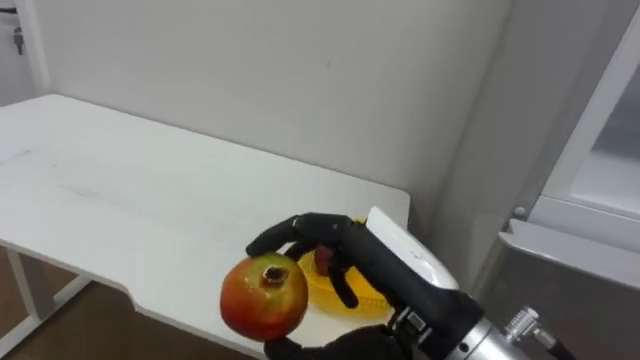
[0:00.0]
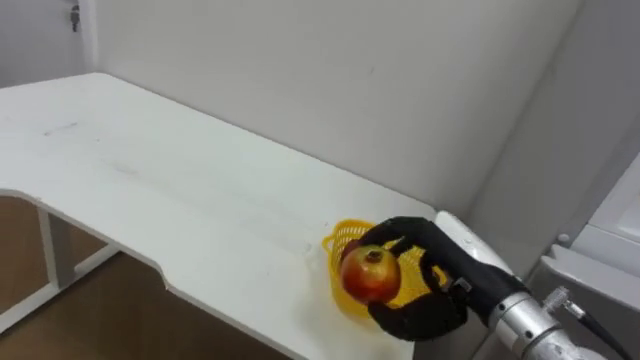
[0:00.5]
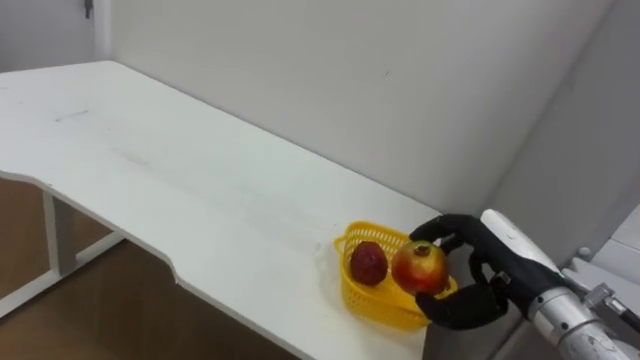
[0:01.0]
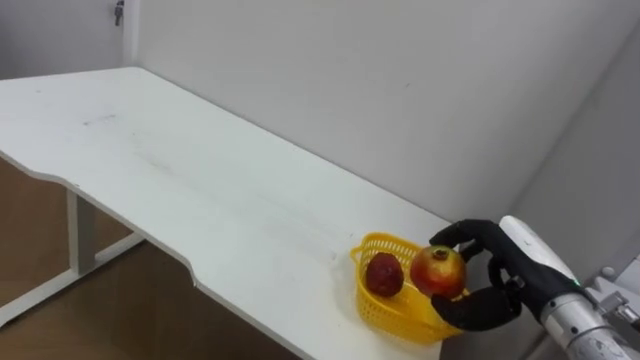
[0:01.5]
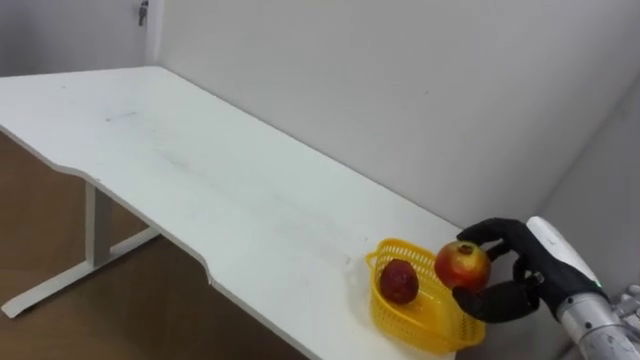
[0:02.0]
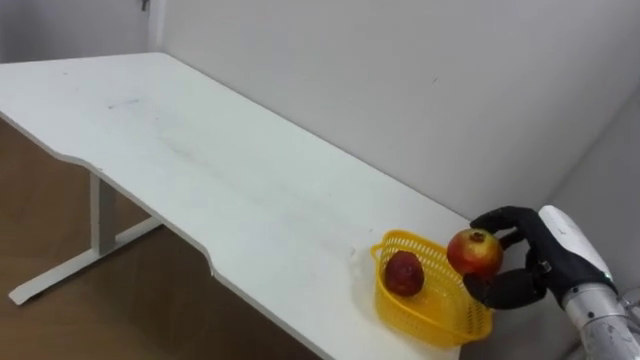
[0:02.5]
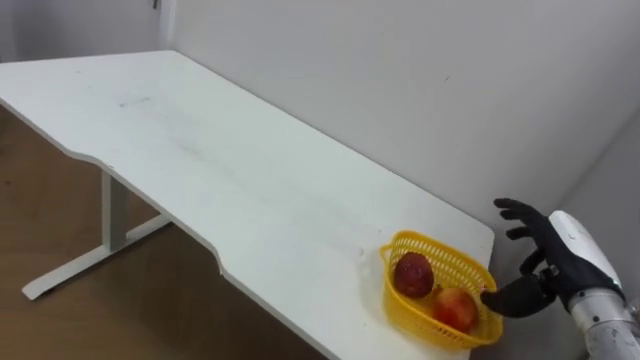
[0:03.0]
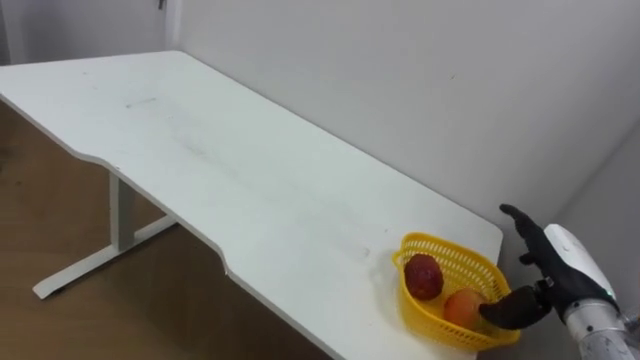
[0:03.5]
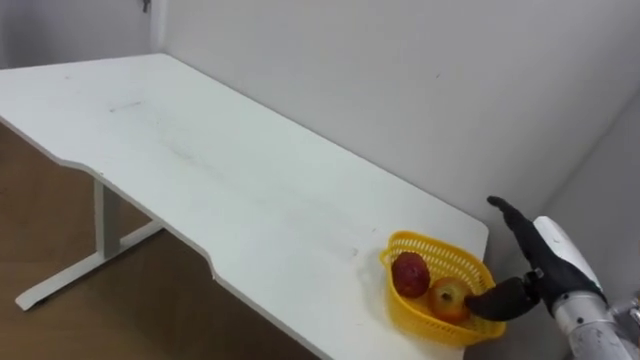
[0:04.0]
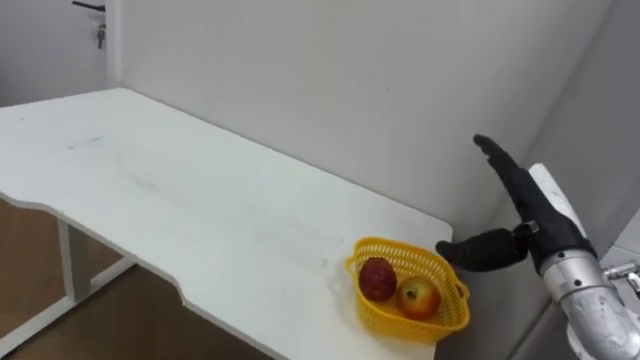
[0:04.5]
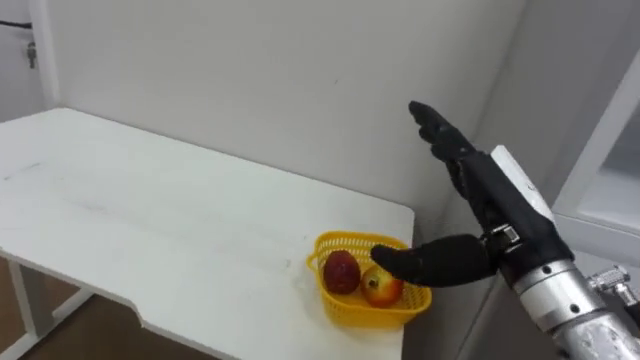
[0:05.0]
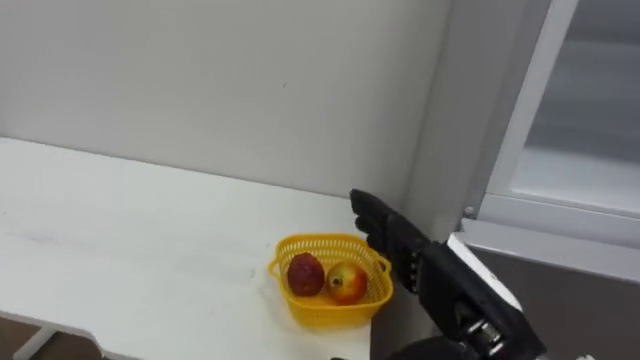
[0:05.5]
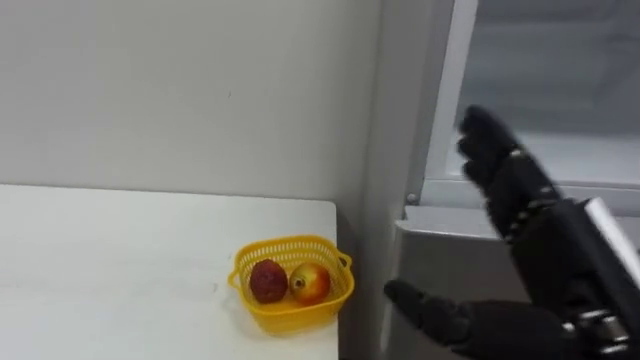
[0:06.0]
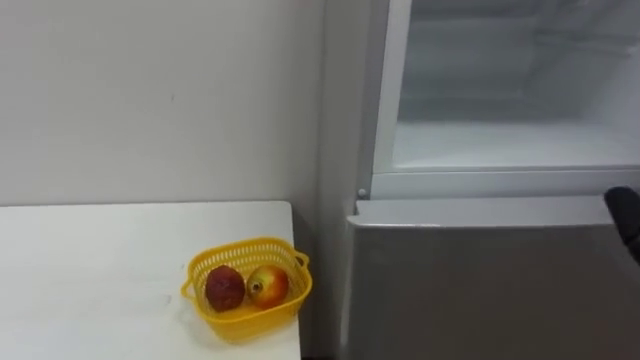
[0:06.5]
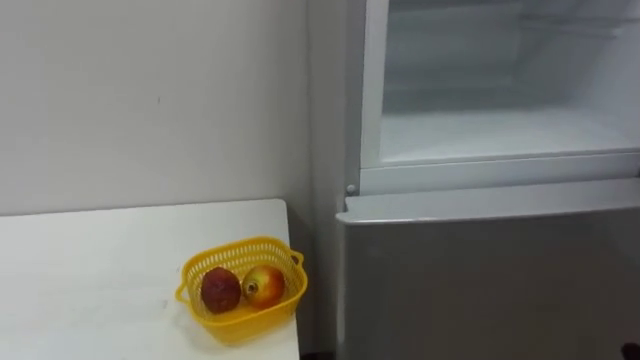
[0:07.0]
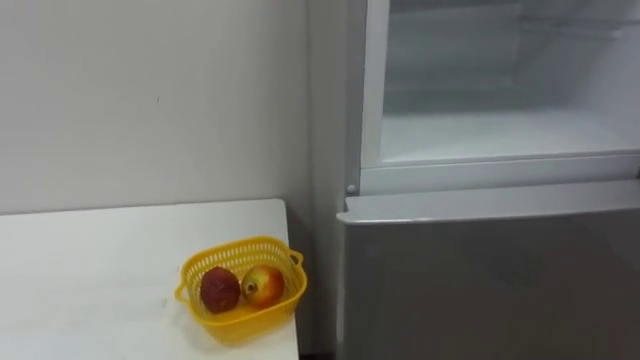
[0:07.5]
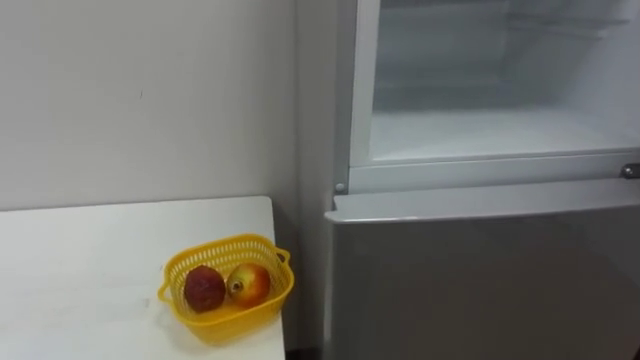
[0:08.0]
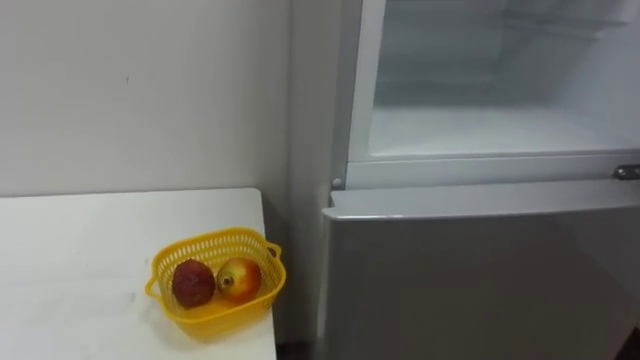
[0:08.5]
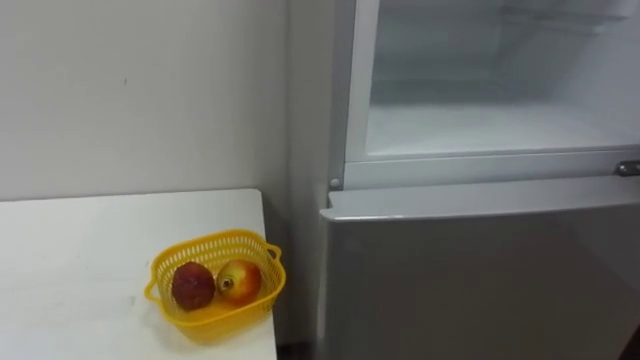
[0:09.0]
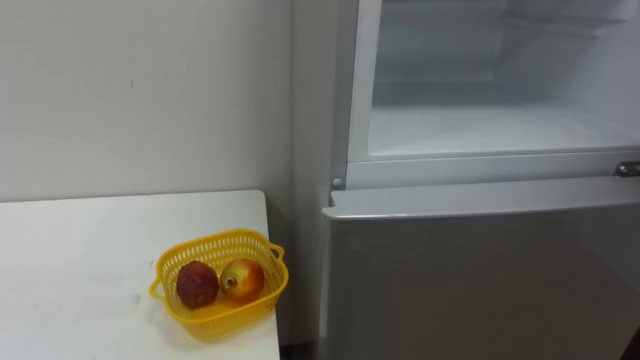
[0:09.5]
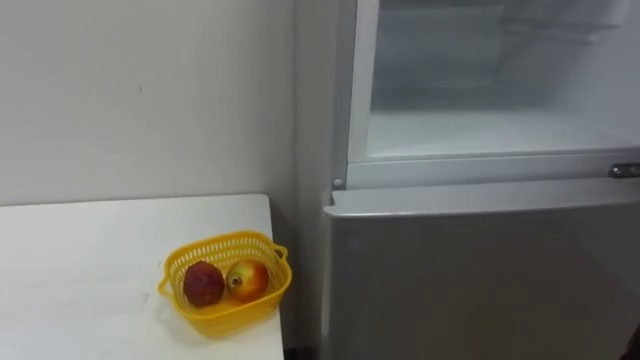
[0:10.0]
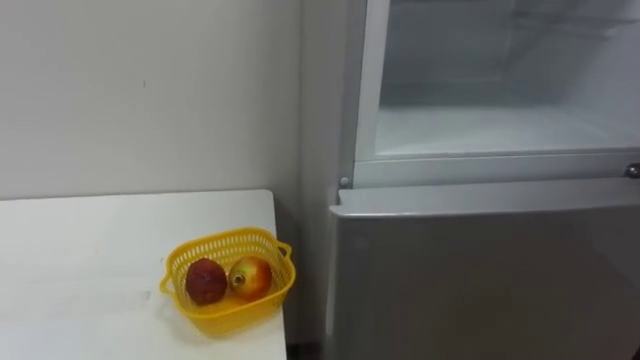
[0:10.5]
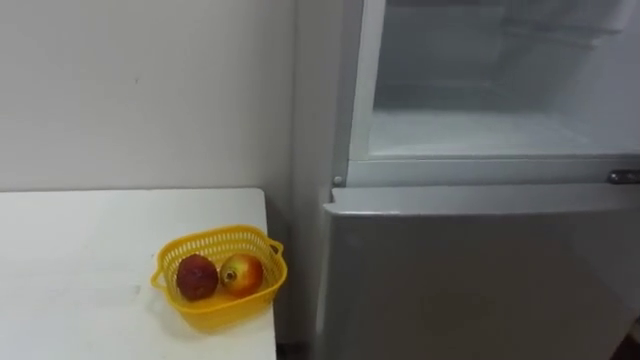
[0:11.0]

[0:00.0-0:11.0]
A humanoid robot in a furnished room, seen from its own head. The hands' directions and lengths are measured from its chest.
Task of the whole recording: Open the refrigerator door, take out the apple and the pomegranate, place them in the fruit basket on the left, and close the refrigerator door.
0:00.0 to 0:02.0: The right hand goes roughly 25 cm to the right, forward and downward.
0:02.0 to 0:03.5: The right hand opens its fingers.
0:03.5 to 0:05.5: The right hand moves to the left, backward and upward, about 20 cm.

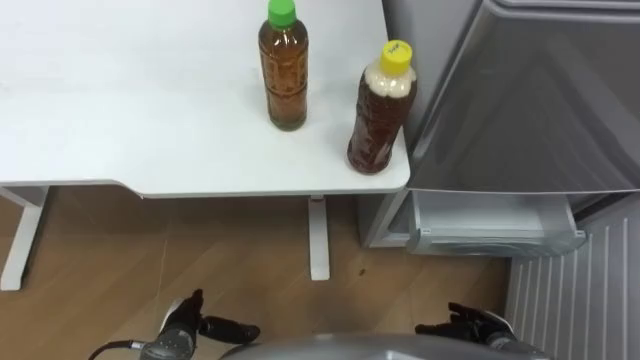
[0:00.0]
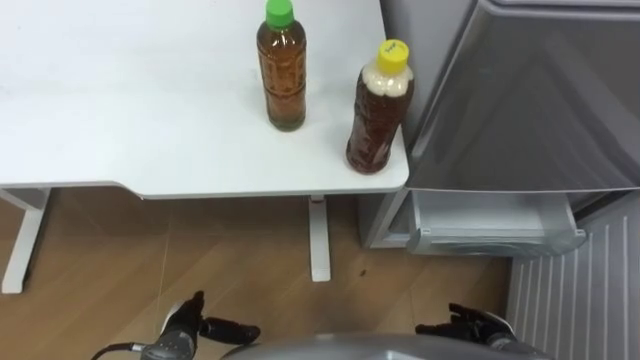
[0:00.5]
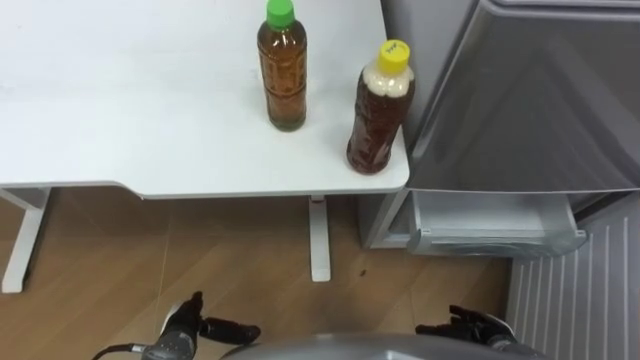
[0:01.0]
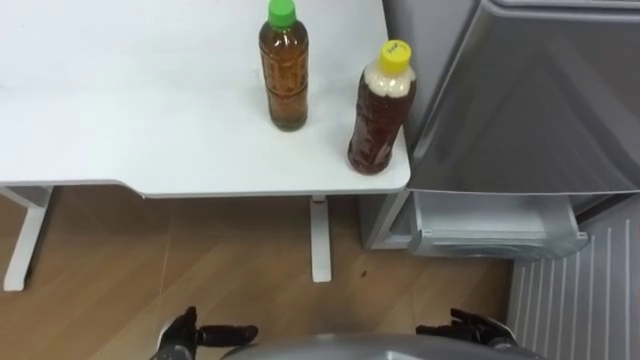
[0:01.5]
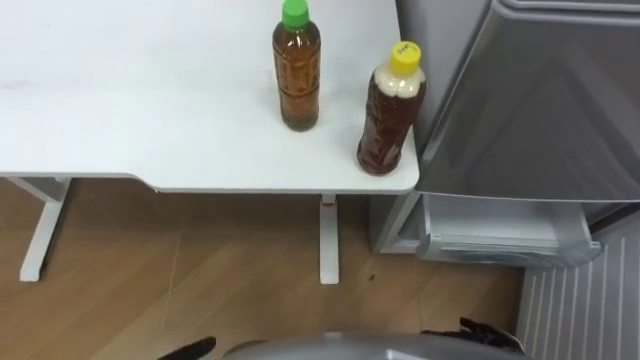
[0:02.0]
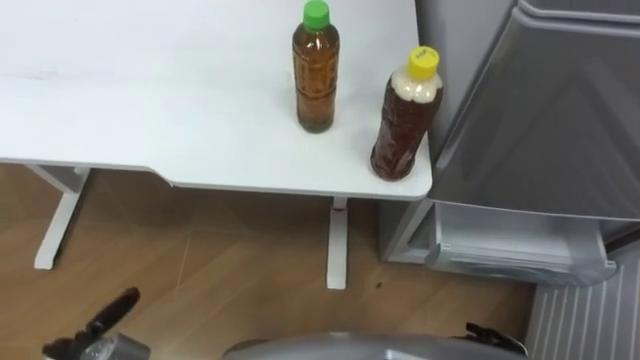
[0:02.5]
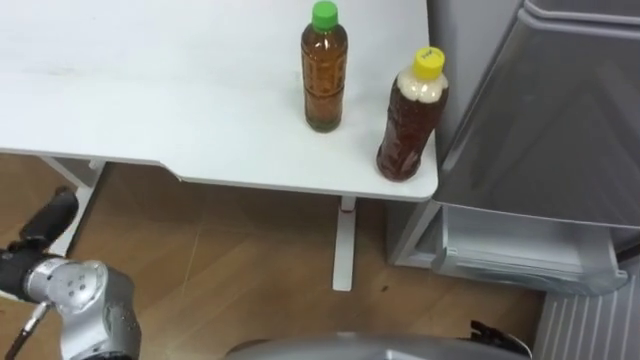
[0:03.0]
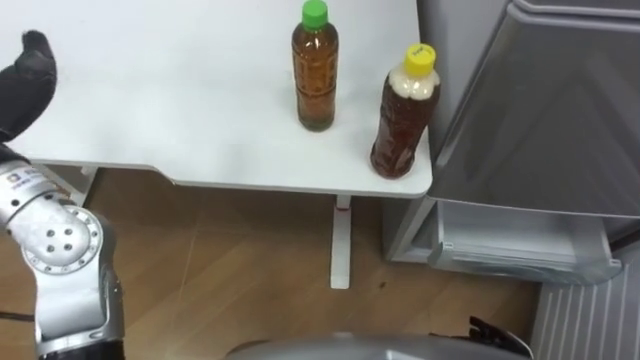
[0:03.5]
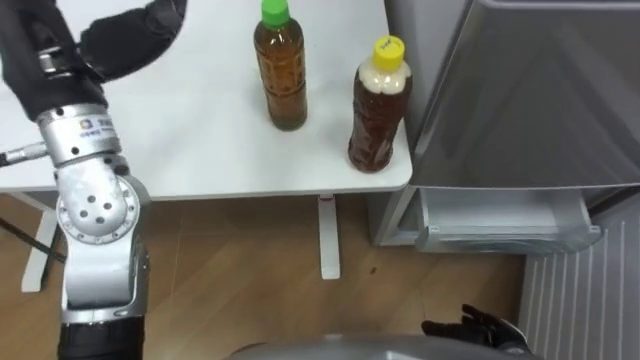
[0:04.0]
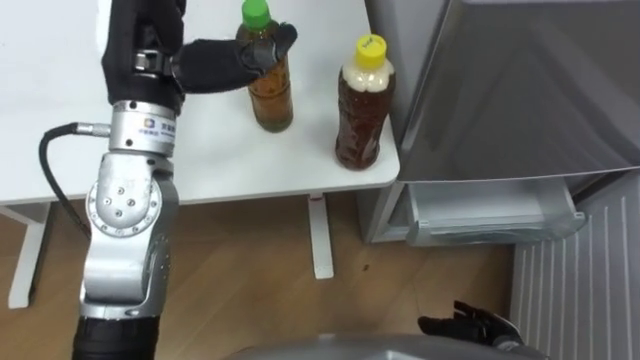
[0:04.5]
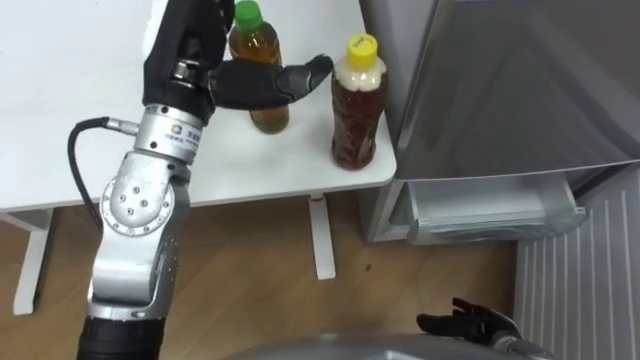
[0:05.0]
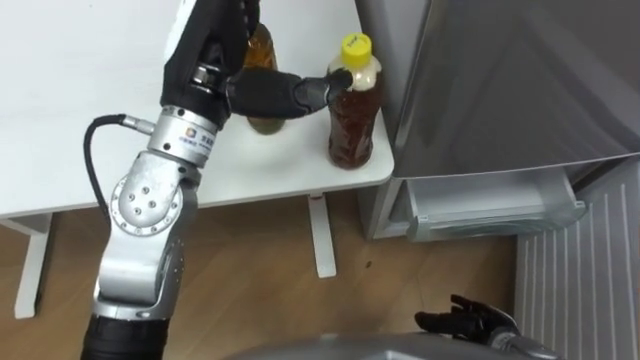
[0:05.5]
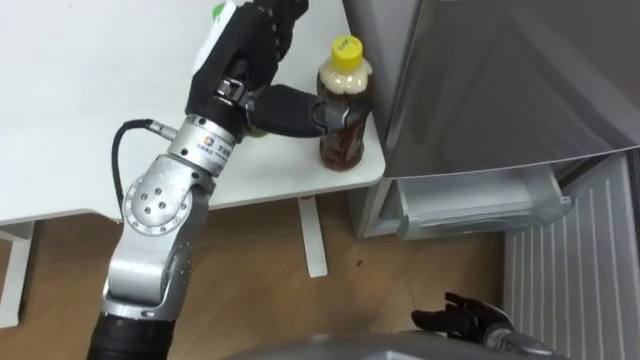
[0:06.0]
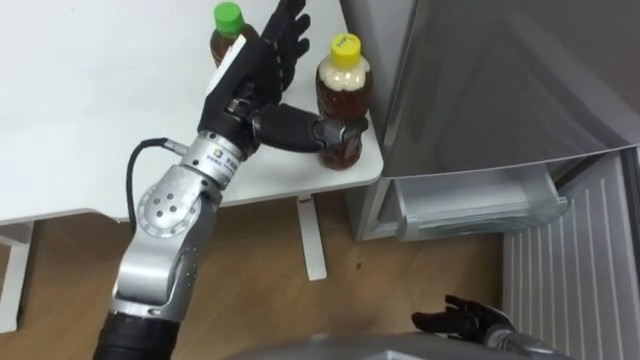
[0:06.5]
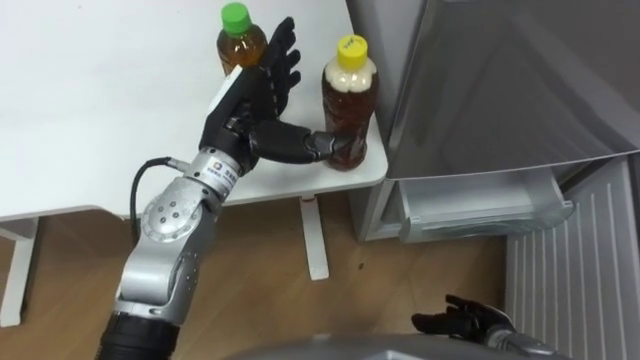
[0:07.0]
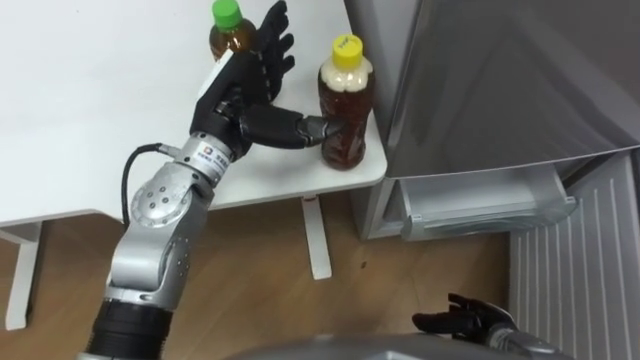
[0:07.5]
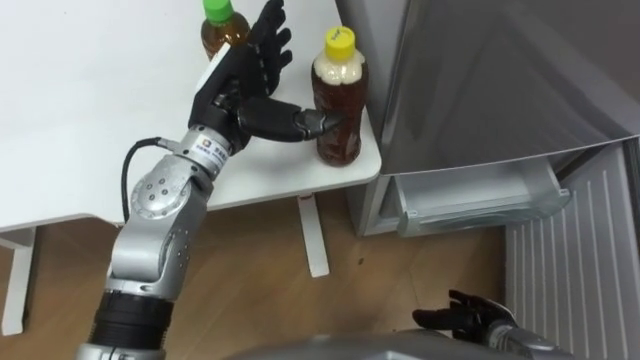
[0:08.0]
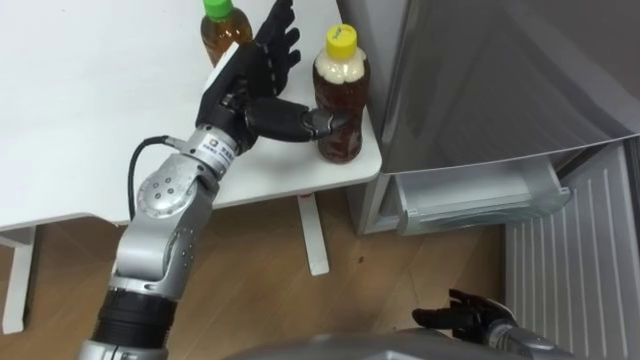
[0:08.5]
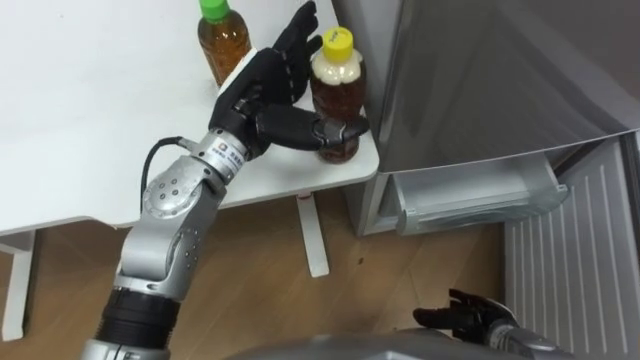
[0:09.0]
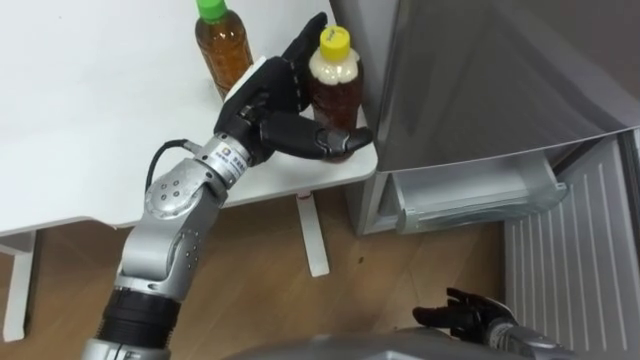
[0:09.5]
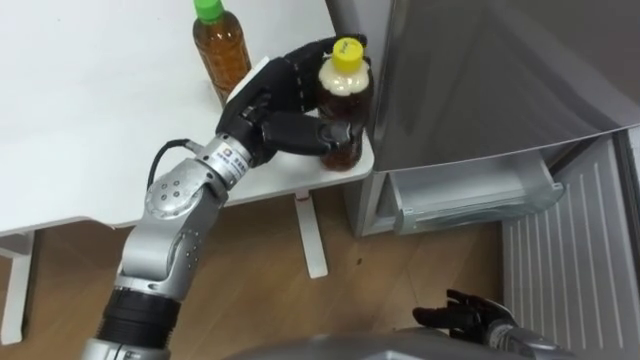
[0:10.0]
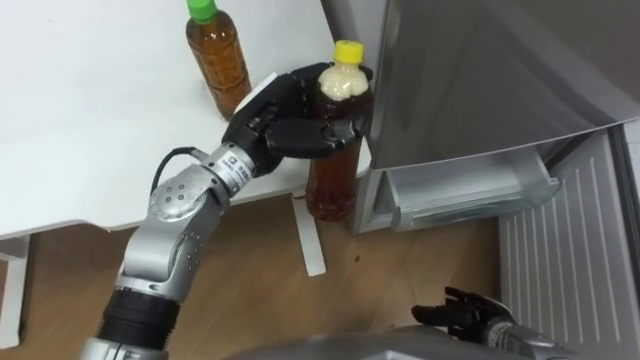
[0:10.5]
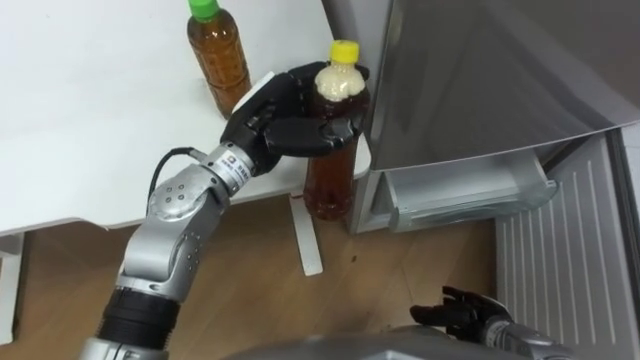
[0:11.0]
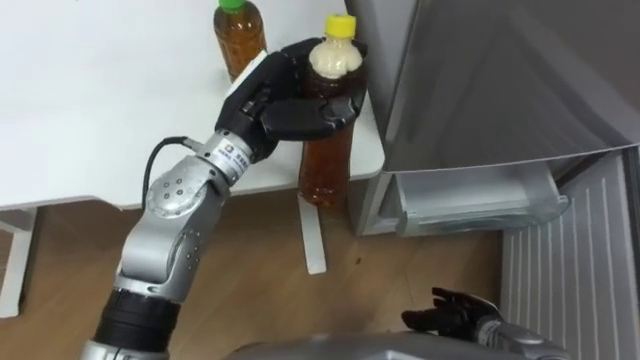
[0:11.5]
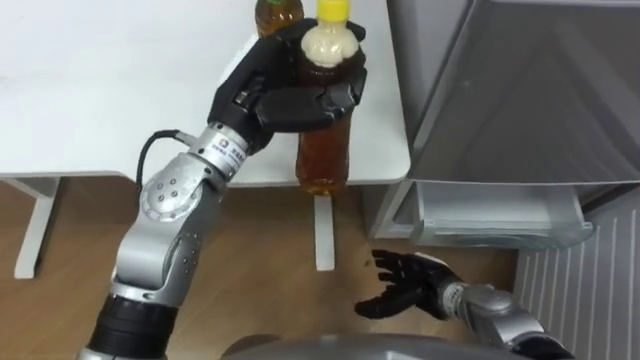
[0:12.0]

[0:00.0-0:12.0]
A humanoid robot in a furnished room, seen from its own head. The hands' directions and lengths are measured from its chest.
Task of the whole recording: Place the drink on the table on the bottom shelf of the refrigerator, then close the drawer and the refrigerator door.
0:04.0 to 0:06.0: The left hand is displaced to the right by approximately 15 cm.
0:06.0 to 0:08.0: The left hand goes about 5 cm downward.
0:08.0 to 0:10.0: The left hand closes its fingers.
0:10.0 to 0:12.0: The right hand heads to the left and forward, covering approximately 10 cm.
